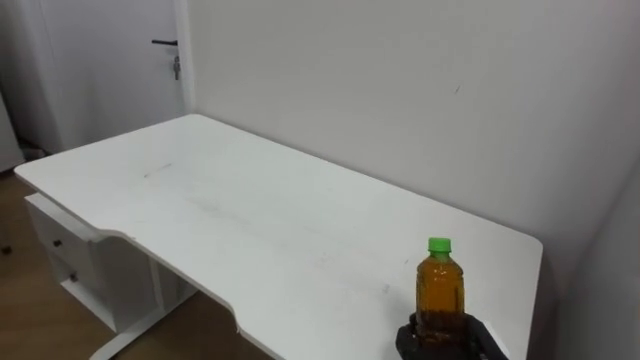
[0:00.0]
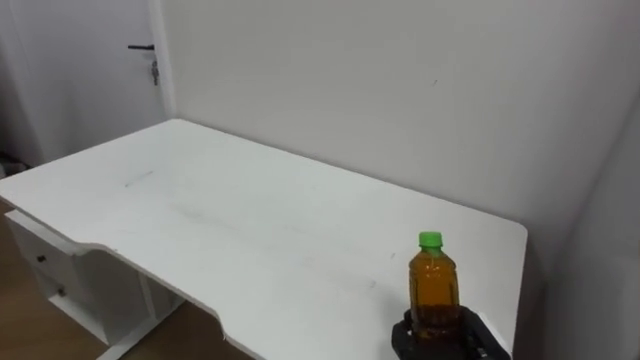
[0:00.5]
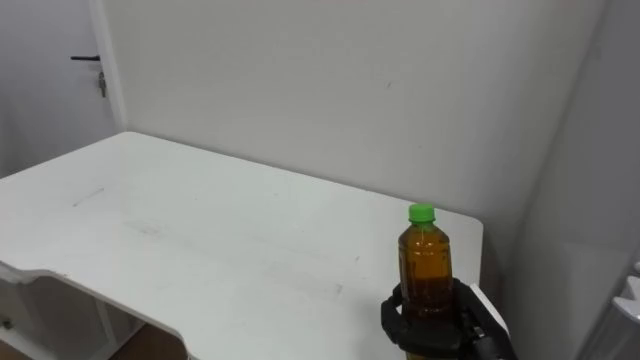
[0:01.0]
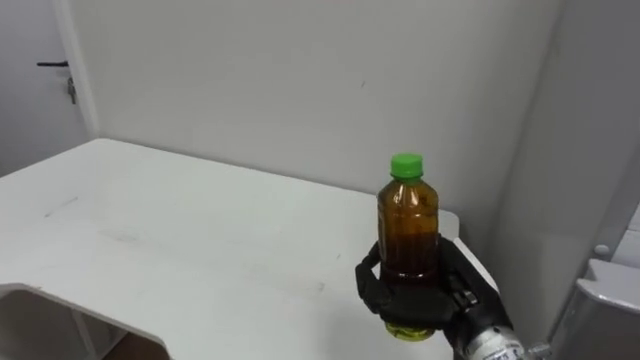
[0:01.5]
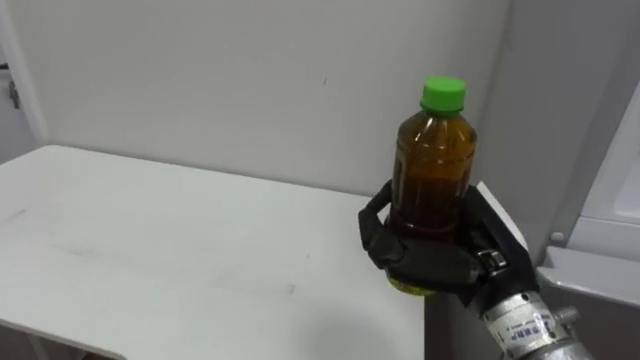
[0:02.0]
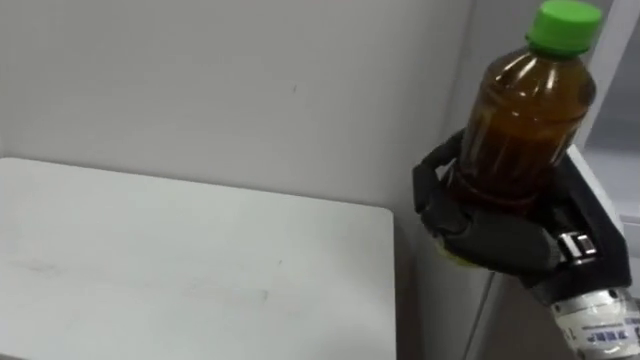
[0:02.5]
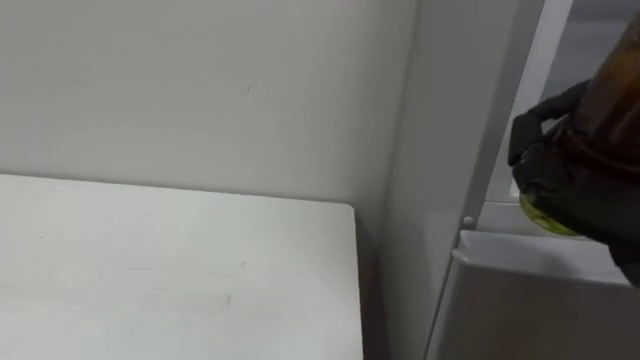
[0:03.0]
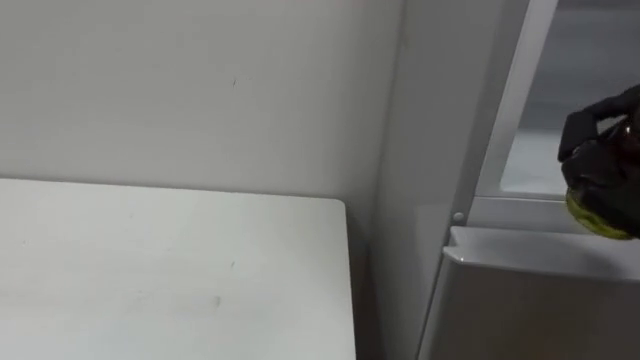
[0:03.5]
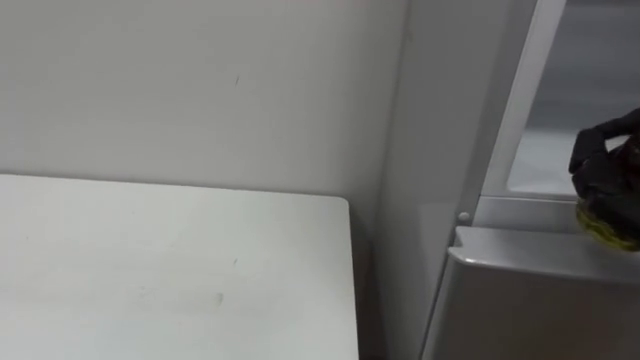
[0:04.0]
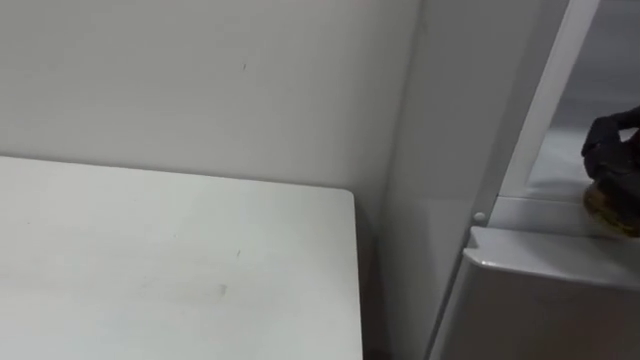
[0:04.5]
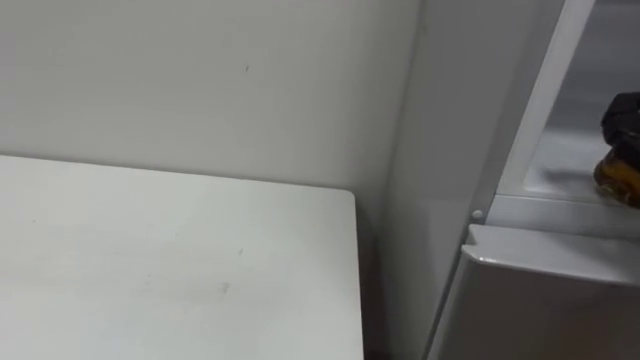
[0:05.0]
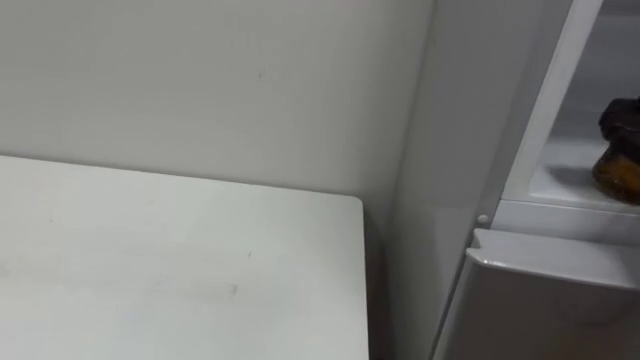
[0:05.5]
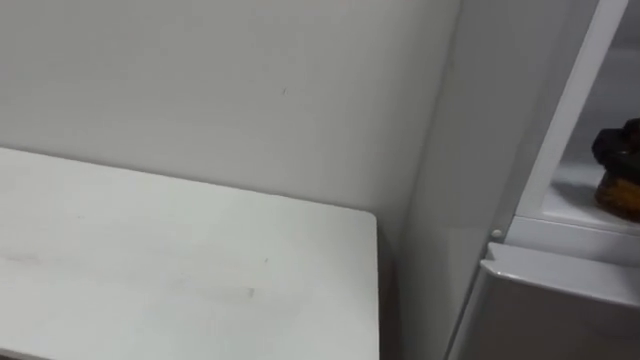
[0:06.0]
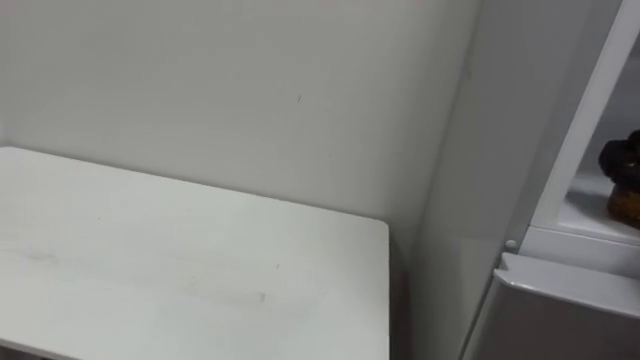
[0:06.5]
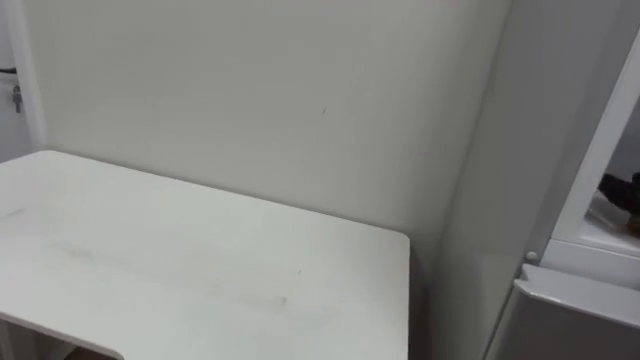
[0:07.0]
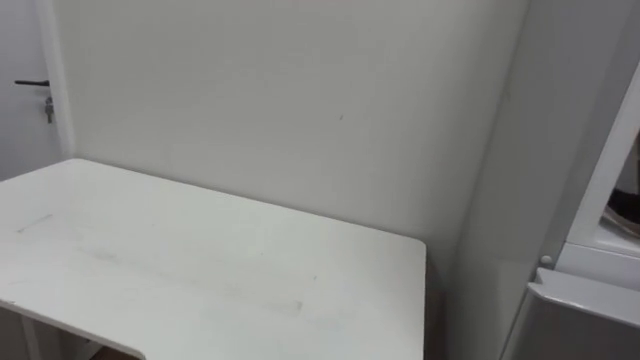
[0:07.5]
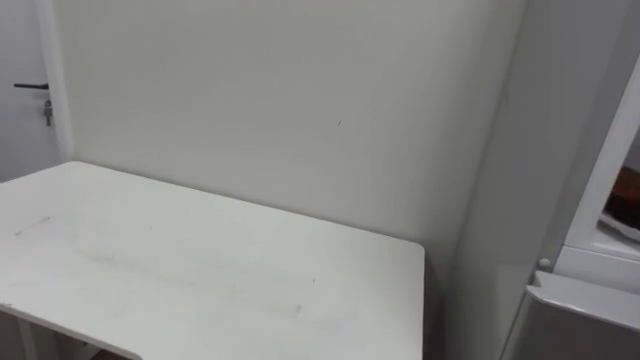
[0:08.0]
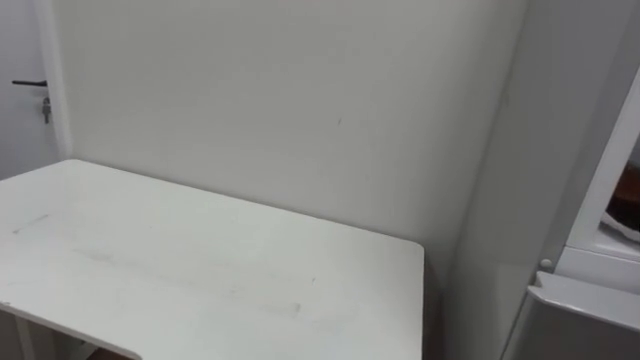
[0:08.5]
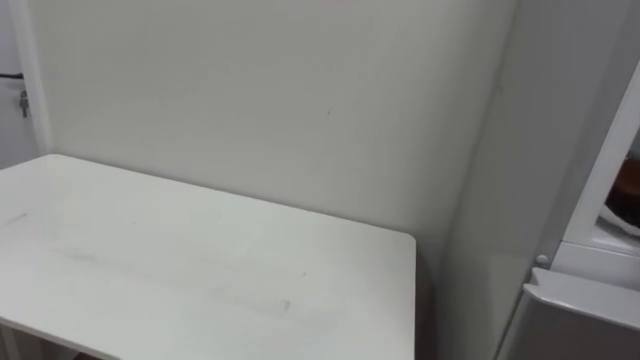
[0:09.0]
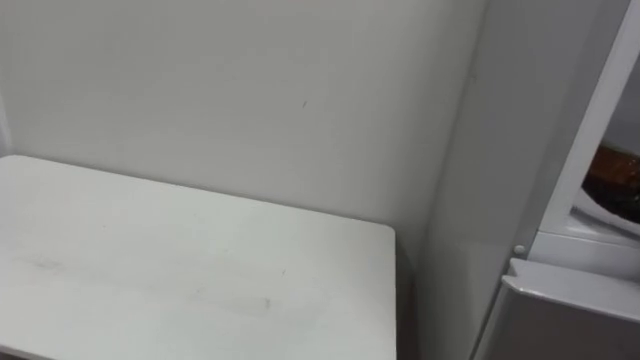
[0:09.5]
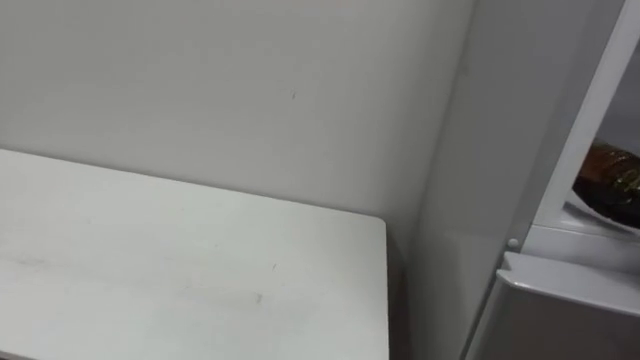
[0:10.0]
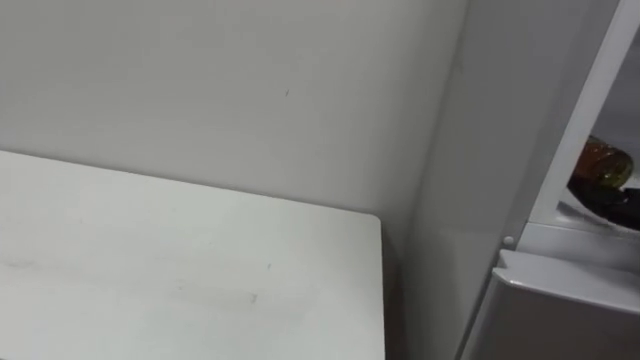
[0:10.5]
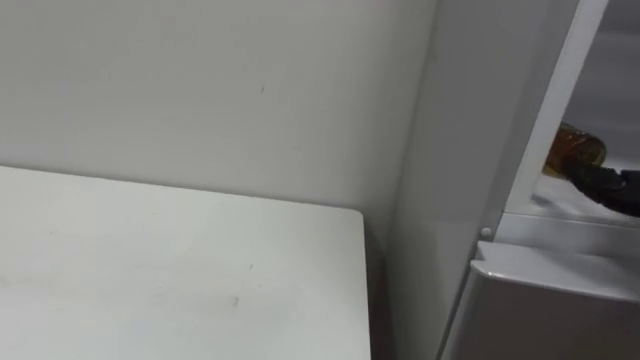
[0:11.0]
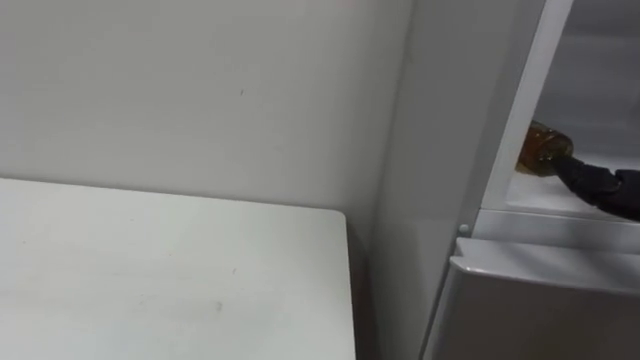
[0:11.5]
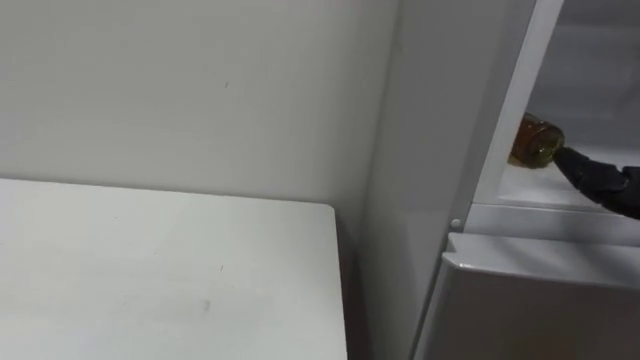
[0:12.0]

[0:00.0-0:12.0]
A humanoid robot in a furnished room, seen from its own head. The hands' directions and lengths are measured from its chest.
Task of the whole recording: Open the upper refrigerator door, put the drink from the table into the refrigerator, and then close the refrigerator door.
0:00.0 to 0:02.0: The right hand travels upward by some 20 cm.

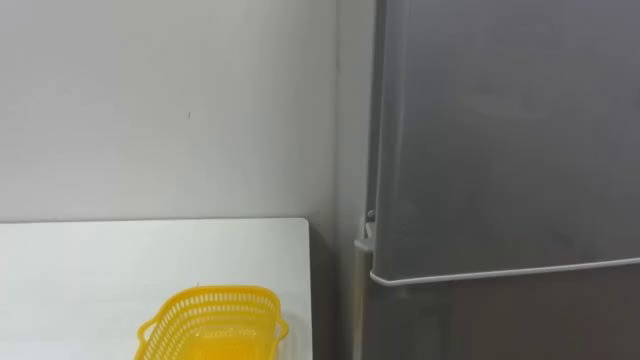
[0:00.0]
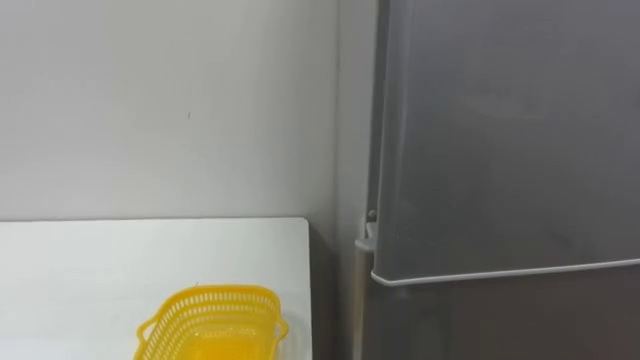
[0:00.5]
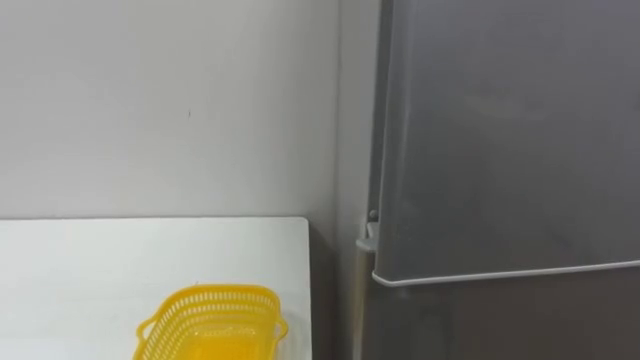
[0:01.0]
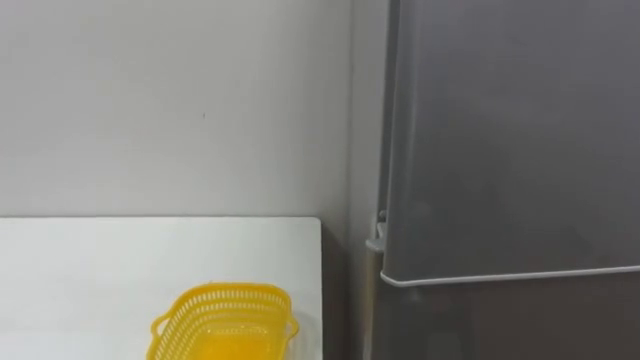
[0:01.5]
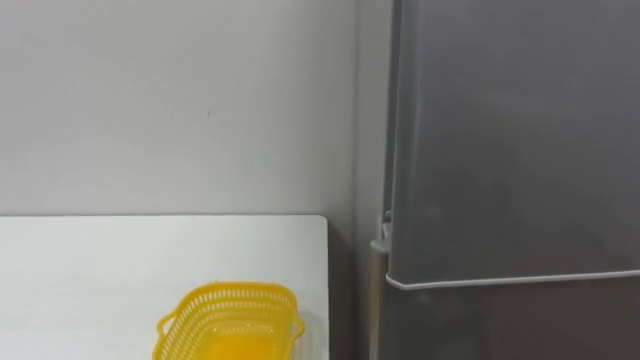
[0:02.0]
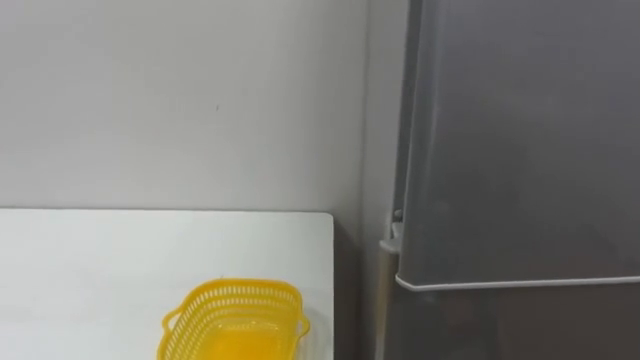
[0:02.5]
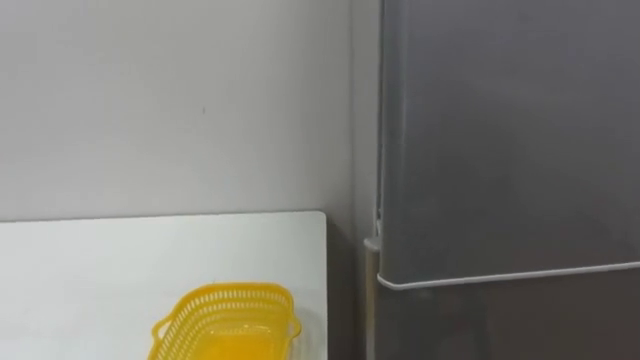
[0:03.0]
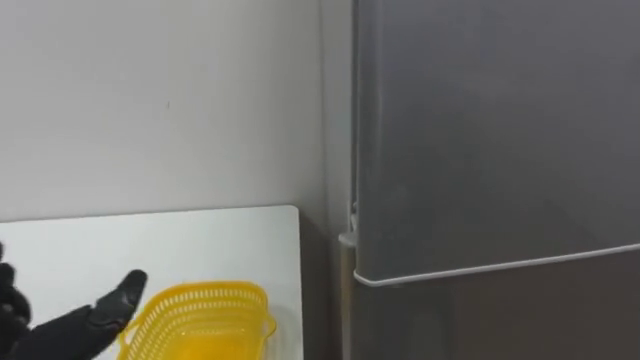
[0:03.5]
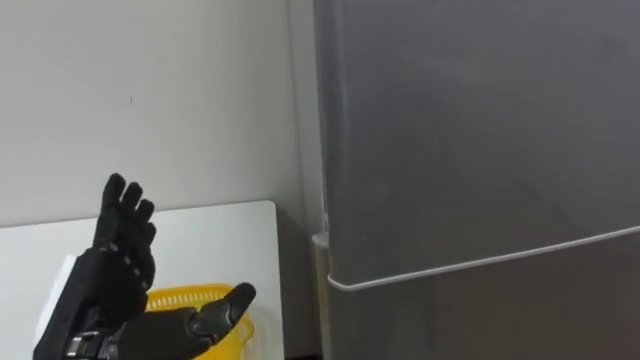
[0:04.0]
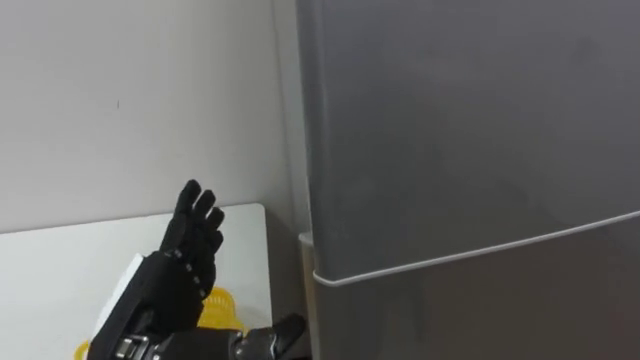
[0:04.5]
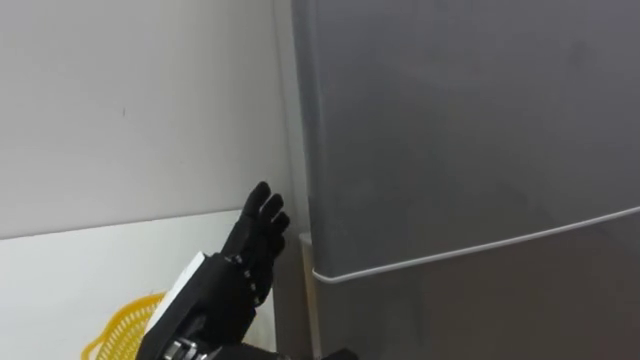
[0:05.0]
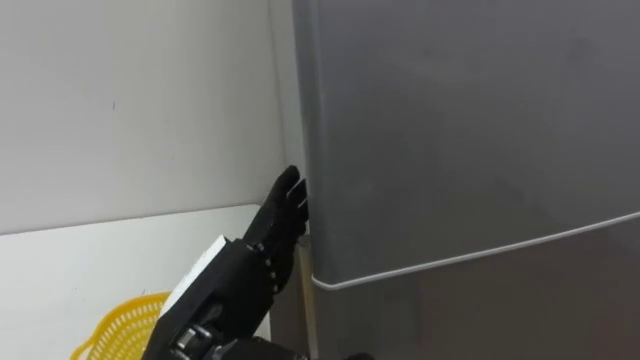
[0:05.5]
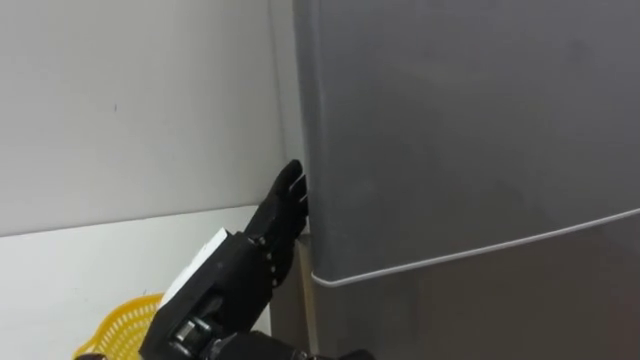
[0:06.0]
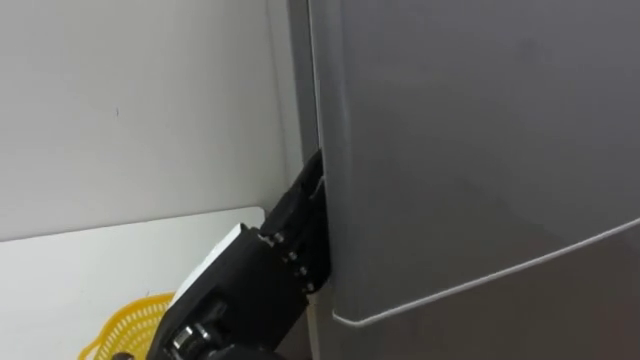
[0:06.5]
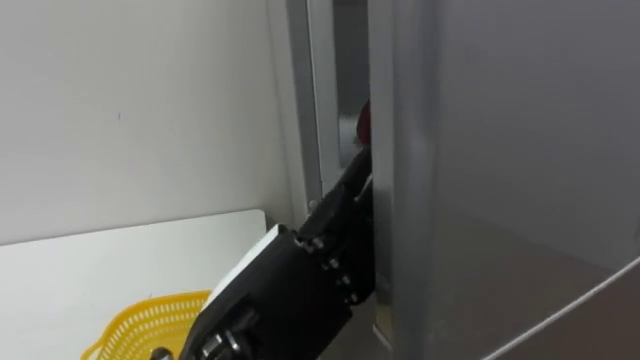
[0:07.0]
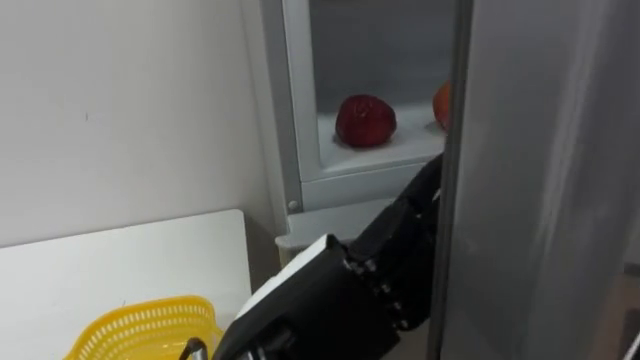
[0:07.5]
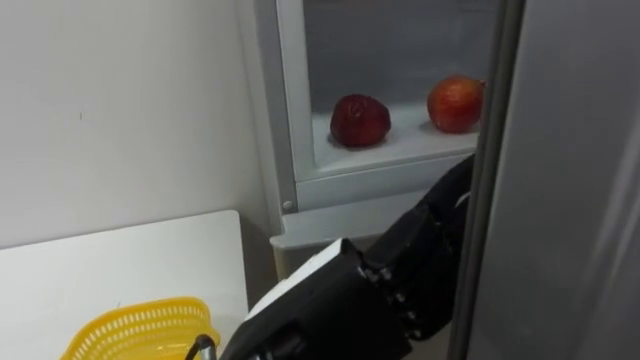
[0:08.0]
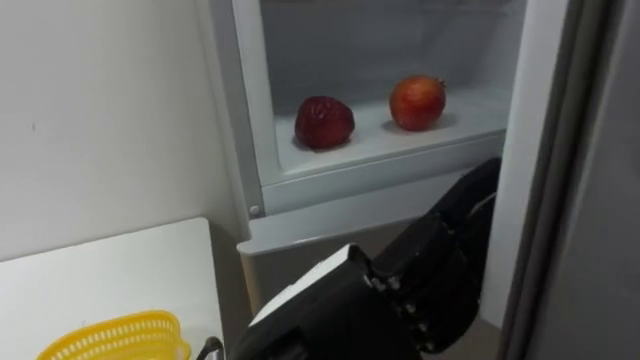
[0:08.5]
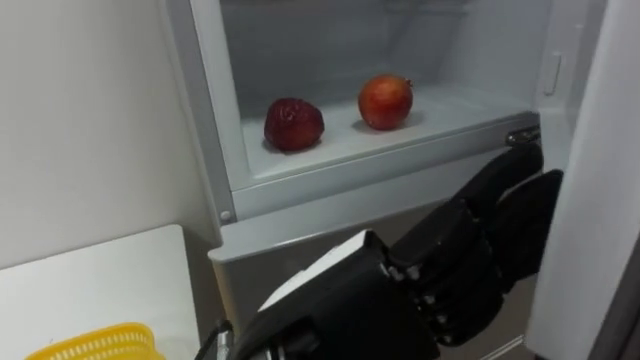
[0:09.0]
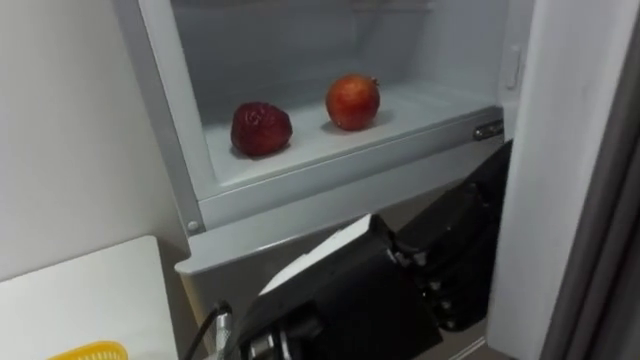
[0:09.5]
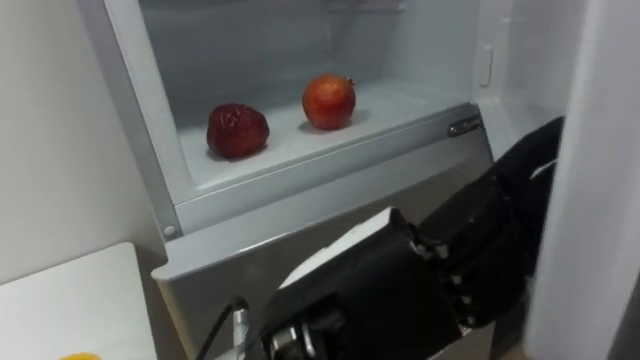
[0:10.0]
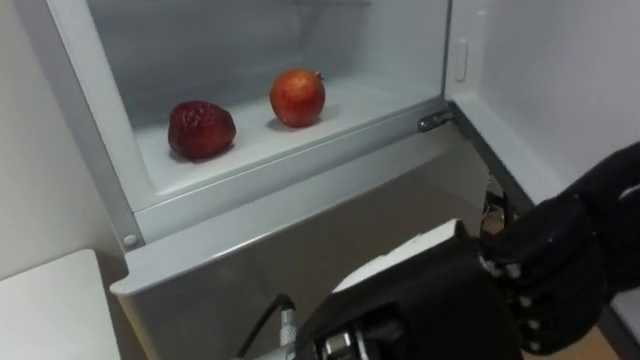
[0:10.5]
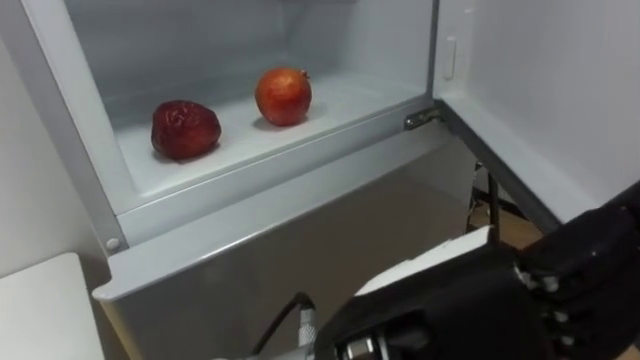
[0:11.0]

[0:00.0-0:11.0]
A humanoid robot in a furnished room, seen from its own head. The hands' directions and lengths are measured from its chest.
Task of the whole recording: Open the refrigerator door, take out the apple and the pomegranate, place them in the fruit basket on the left, and close the refrigerator door.
0:05.5 to 0:07.5: The left hand heads to the right and backward, covering about 10 cm.
0:09.0 to 0:11.0: The left hand is displaced to the right by roughly 5 cm.
